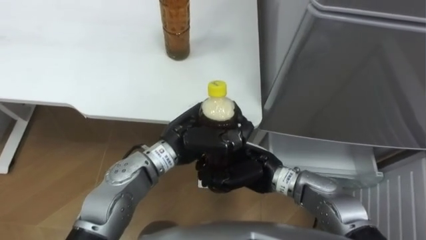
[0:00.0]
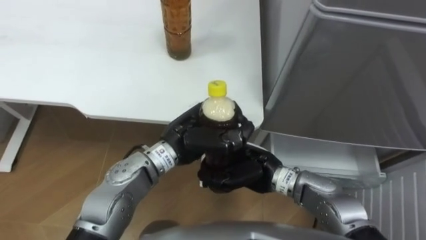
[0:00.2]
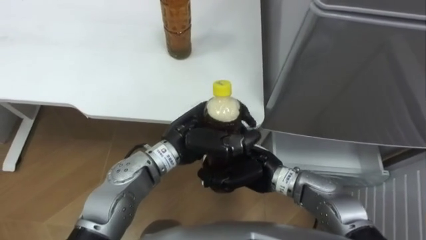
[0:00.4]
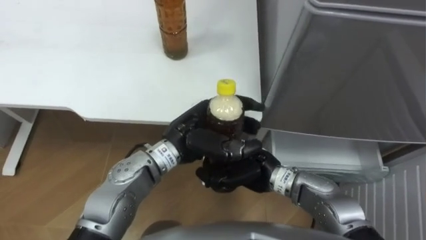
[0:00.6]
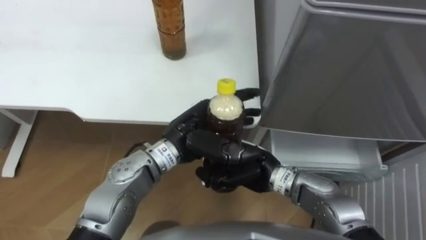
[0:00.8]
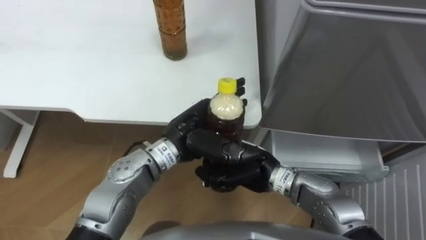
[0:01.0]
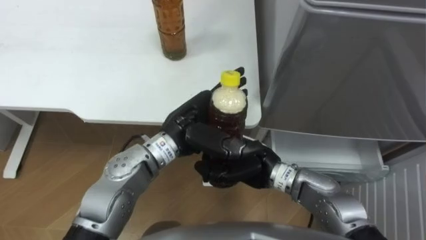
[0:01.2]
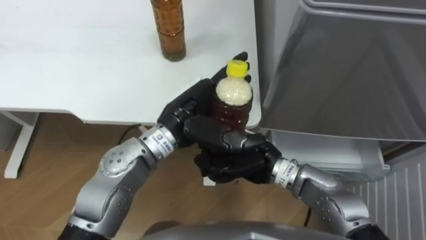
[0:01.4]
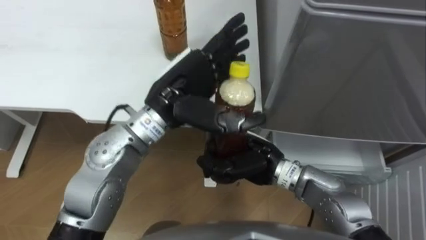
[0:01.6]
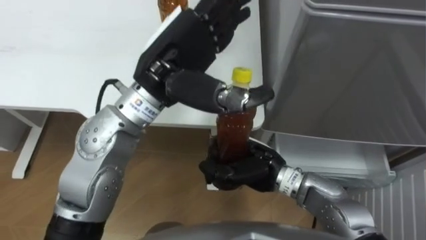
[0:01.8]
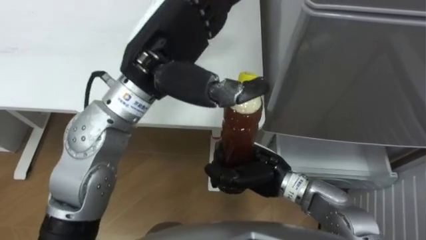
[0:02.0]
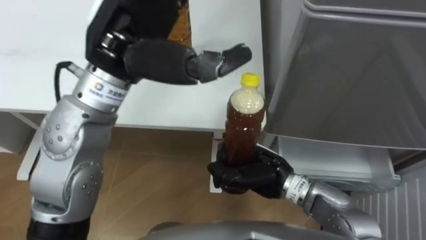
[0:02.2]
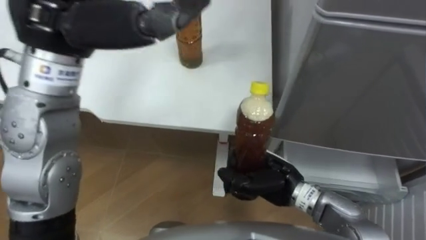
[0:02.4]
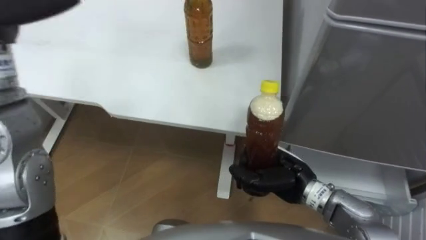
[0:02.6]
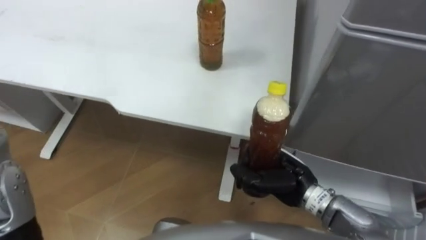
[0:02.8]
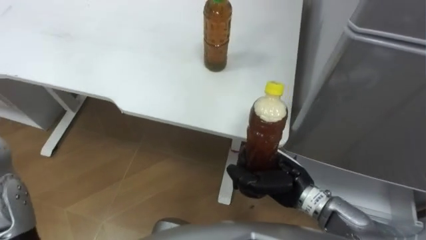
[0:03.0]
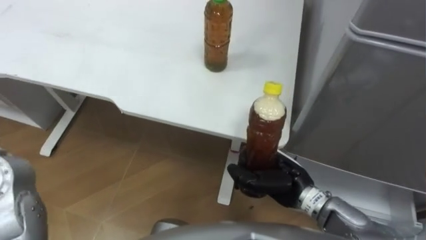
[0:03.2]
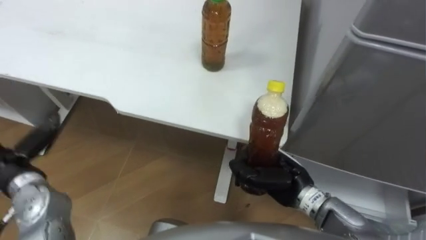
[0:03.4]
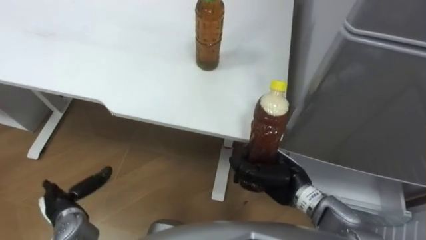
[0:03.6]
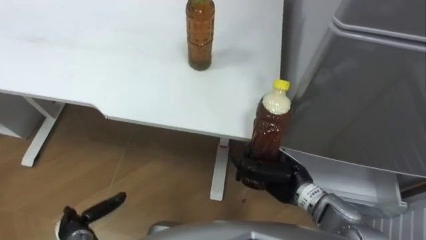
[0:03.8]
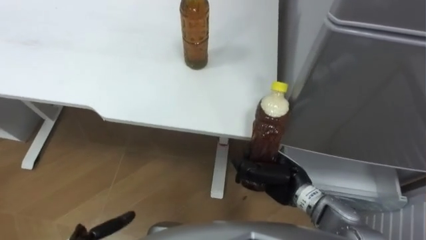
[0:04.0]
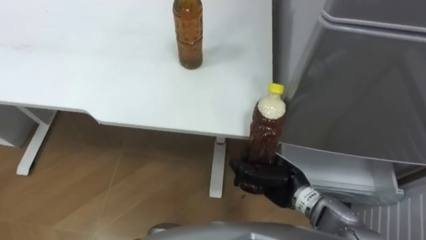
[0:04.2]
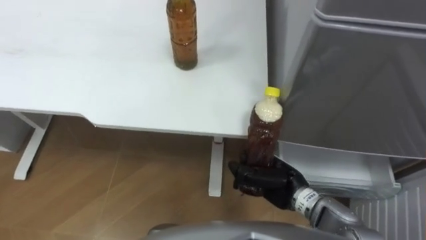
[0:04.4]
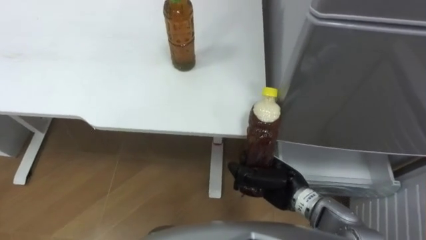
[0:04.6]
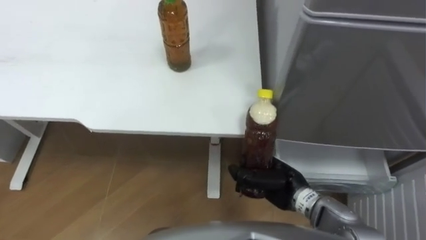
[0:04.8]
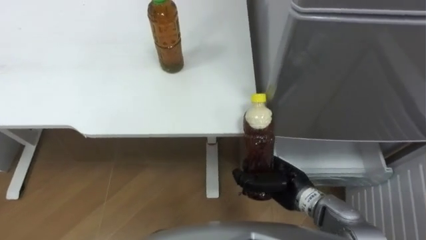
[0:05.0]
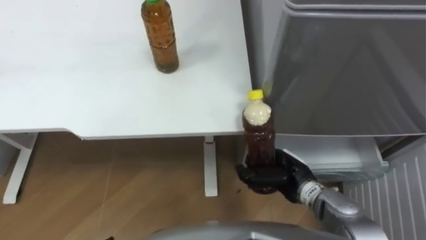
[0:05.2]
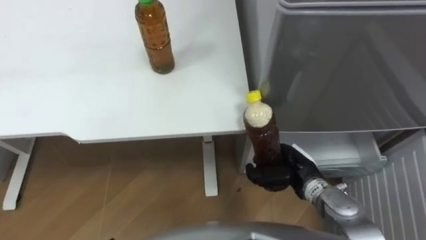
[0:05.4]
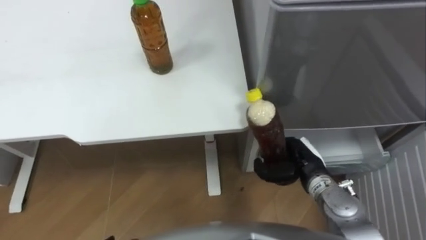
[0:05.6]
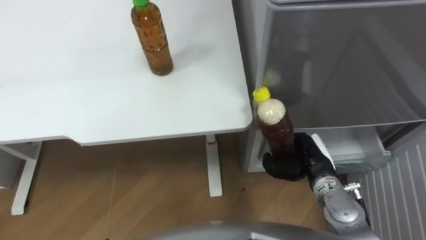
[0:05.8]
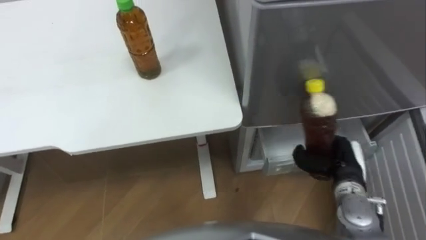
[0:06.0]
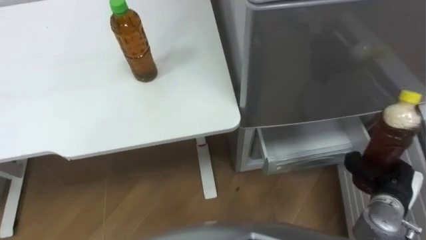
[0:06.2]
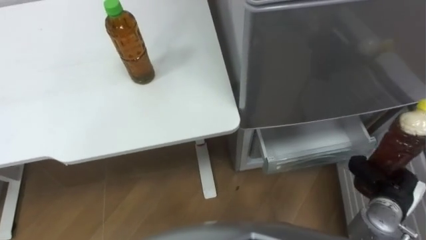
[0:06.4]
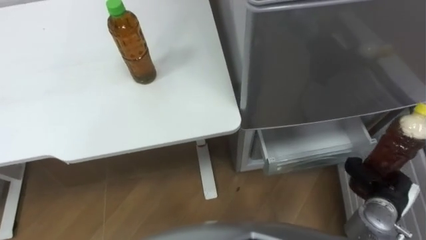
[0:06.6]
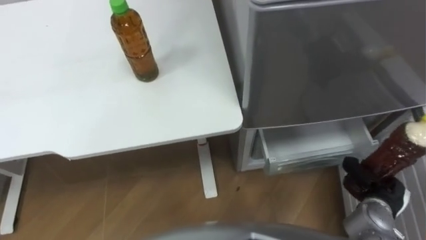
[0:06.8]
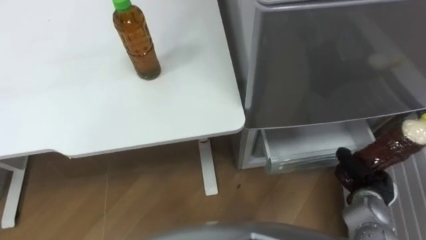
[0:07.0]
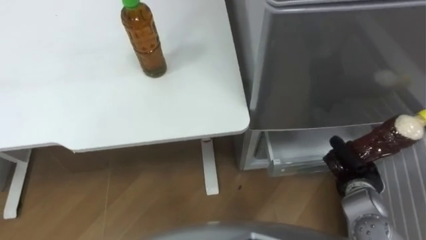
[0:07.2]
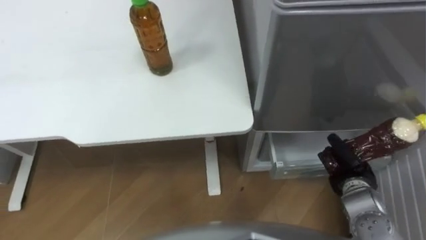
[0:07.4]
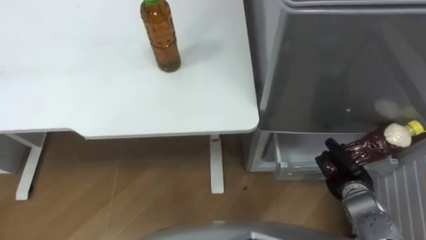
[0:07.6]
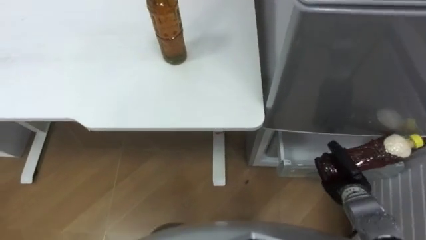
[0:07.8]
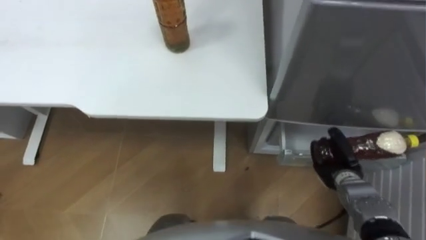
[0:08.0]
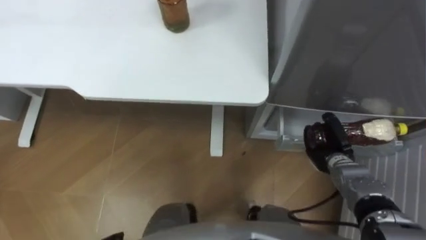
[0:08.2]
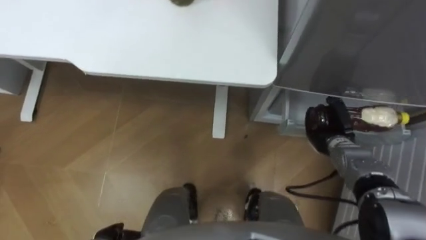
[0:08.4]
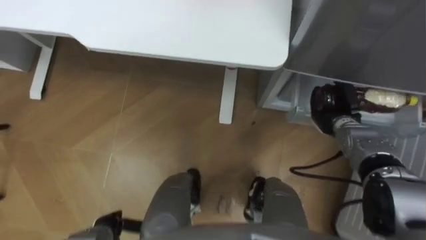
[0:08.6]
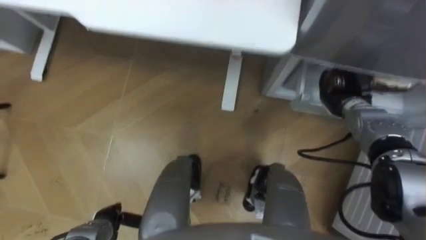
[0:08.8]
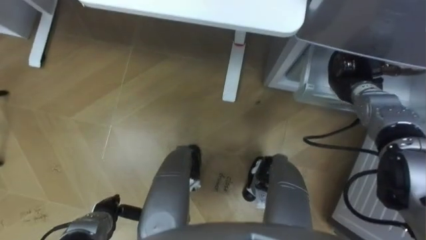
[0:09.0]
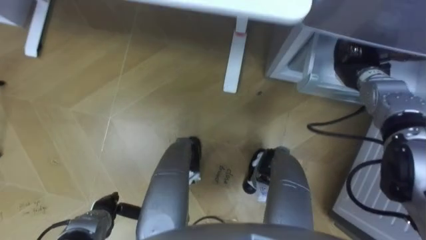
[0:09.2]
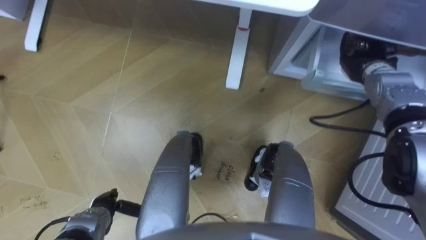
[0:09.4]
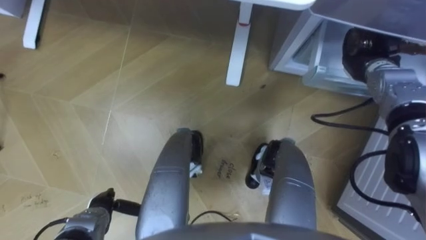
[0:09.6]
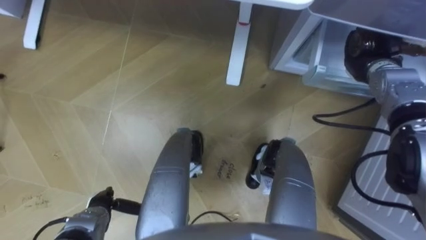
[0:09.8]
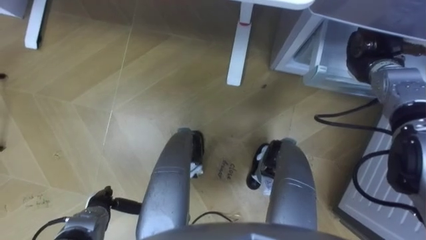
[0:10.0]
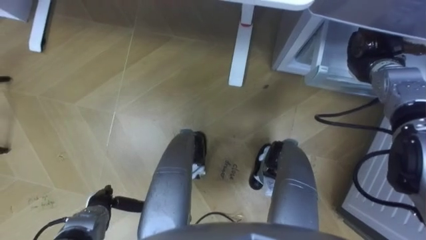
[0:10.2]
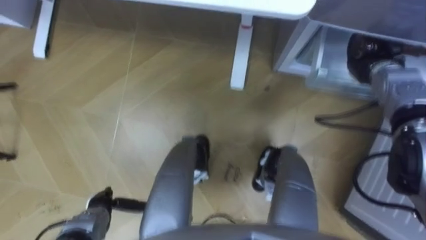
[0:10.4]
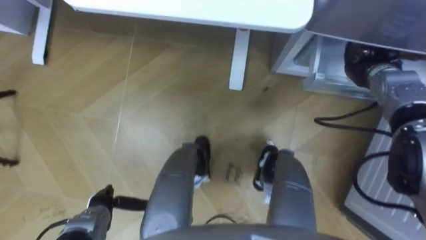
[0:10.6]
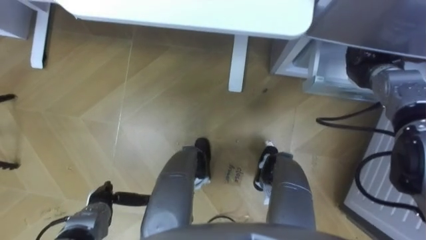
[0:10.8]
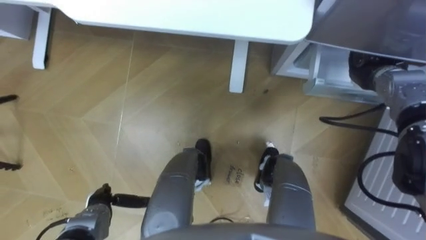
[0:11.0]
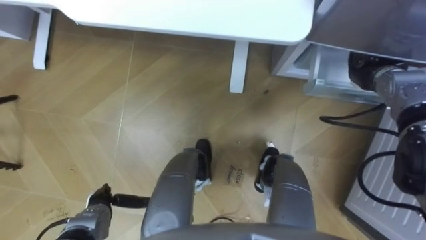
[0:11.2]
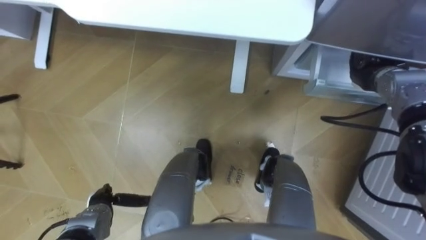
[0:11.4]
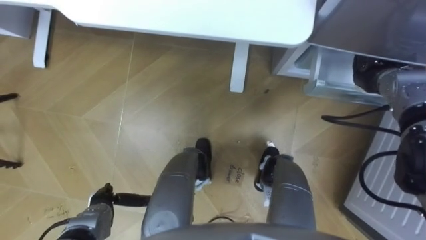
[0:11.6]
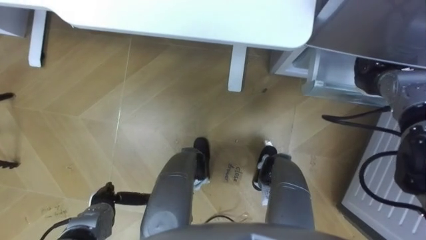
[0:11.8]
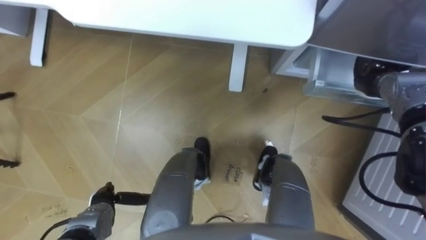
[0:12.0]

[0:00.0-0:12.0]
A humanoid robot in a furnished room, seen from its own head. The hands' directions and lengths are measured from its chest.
Task of the whole recording: Place the drink on the table on the bottom shelf of the refrigerator, then close the drawer and the refrigerator door.
0.0 to 1.6 s: The left hand moves upward, some 10 cm, and opens up.
1.6 to 3.0 s: The right hand goes roughly 5 cm to the right.
4.4 to 6.0 s: The right hand moves to the right, about 10 cm.
6.0 to 7.6 s: The right hand shifts some 5 cm downward.
7.6 to 9.0 s: The right hand travels forward and upward by about 20 cm.
9.0 to 10.4 s: The right hand shifts by approximately 5 cm.

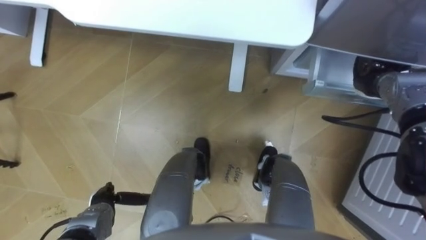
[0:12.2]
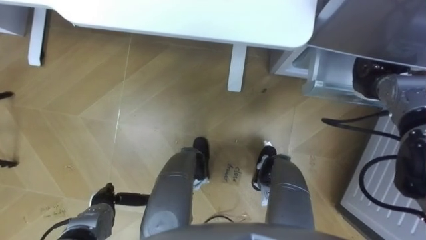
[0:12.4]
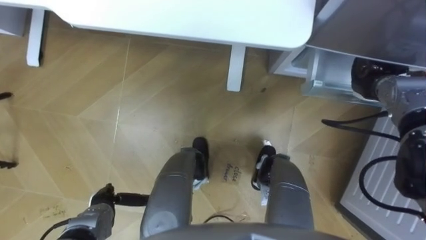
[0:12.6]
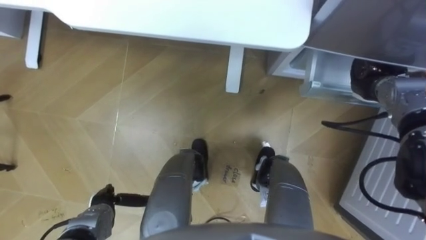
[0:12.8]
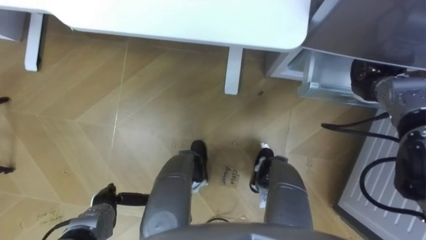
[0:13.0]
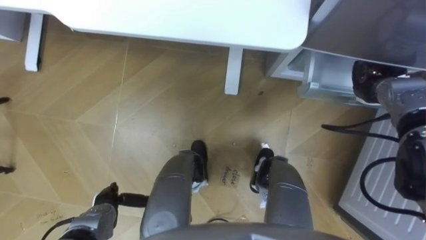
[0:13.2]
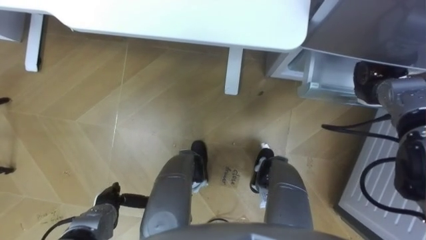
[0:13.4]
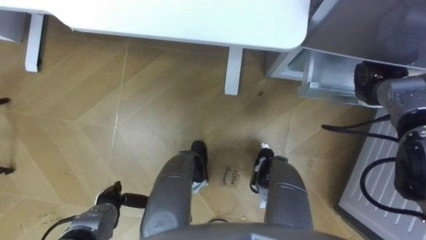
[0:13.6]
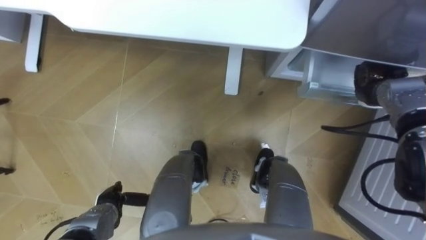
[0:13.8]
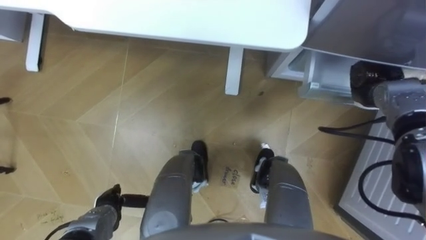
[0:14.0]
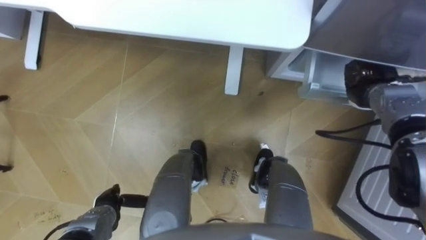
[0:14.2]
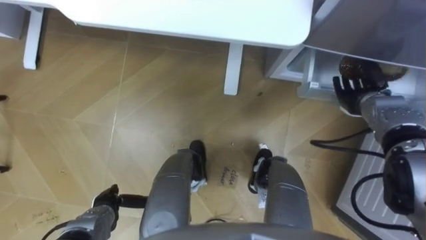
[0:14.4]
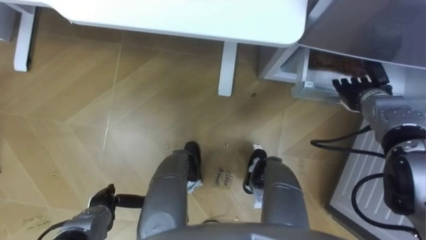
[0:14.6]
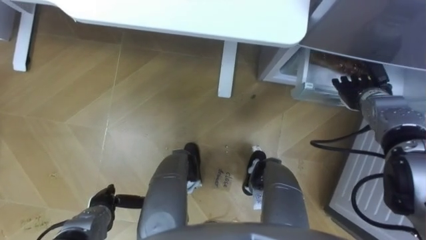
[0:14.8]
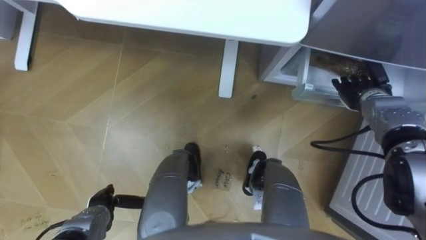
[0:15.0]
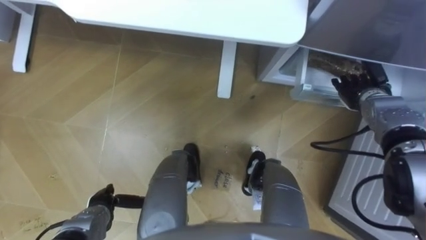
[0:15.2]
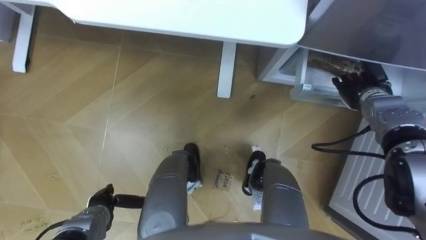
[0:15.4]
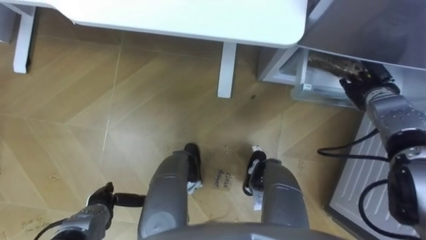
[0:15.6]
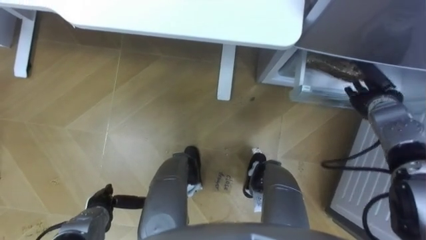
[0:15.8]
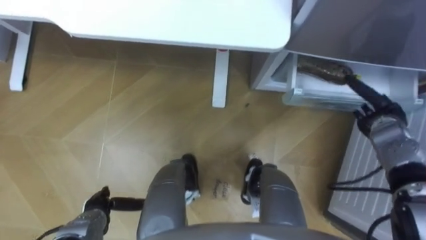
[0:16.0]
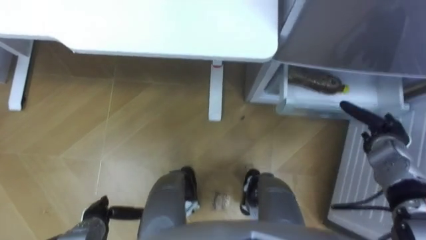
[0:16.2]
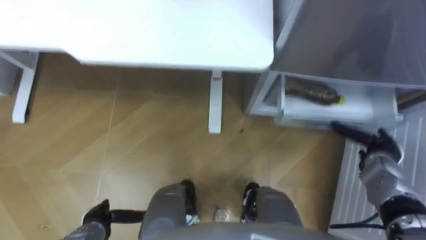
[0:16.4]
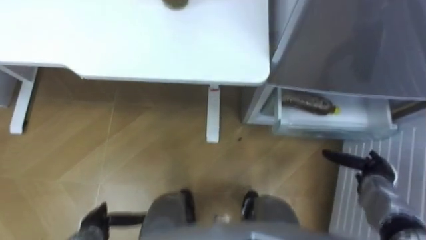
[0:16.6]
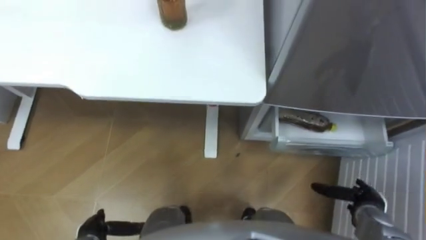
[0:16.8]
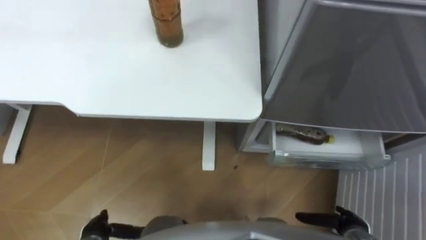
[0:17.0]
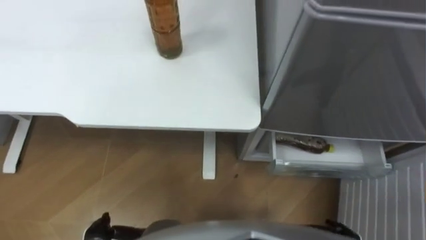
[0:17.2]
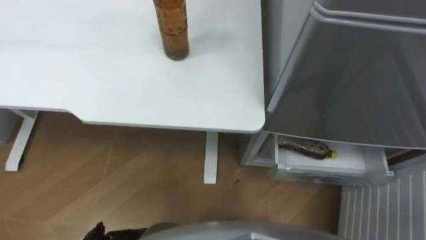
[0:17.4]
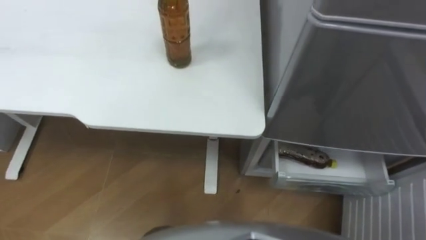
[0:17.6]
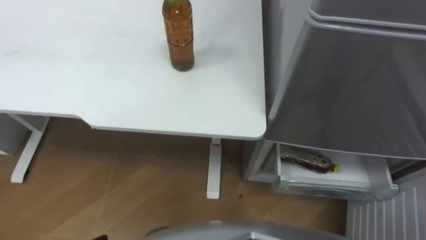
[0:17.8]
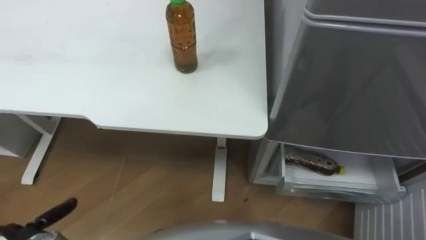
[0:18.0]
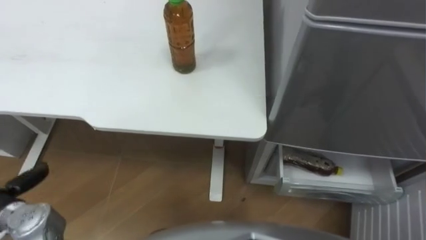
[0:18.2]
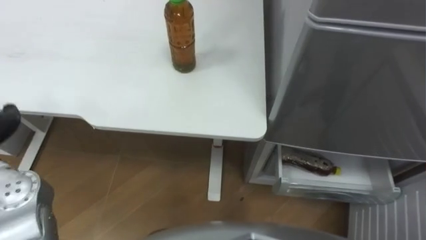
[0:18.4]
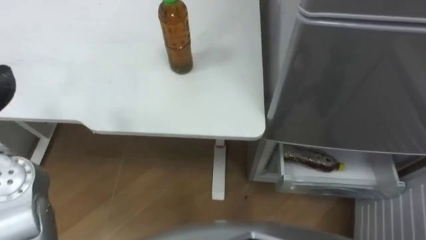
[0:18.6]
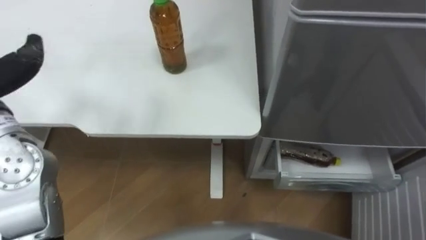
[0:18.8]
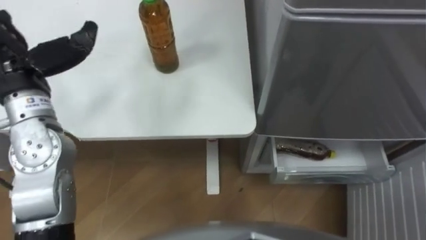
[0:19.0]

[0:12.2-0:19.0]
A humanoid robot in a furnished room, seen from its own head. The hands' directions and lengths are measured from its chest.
Task of the whole recording: Place the drink on the table on the bottom shelf of the refrigerator, then close the drawer and the refrigerator door.
12.2 to 13.6 s: The hands move only a little.
13.6 to 15.0 s: The right hand opens its fingers.
15.0 to 16.2 s: The right hand shifts roughly 10 cm backward.
